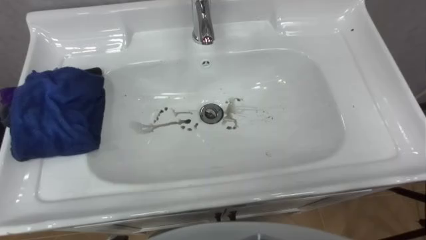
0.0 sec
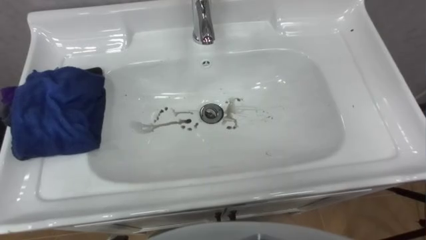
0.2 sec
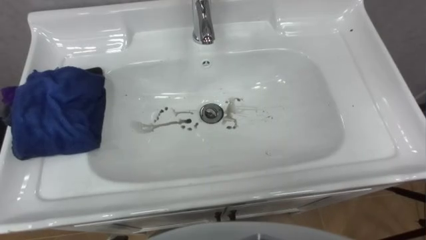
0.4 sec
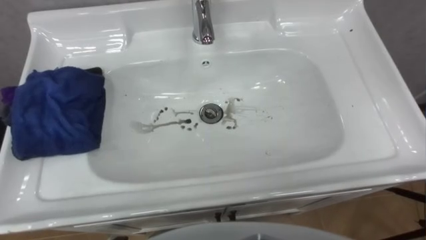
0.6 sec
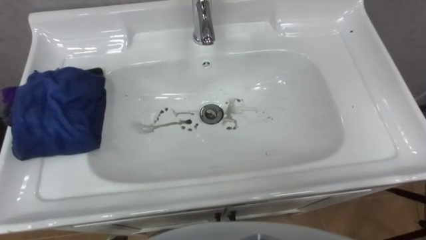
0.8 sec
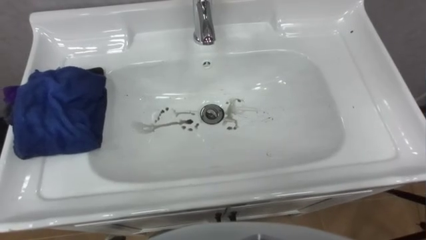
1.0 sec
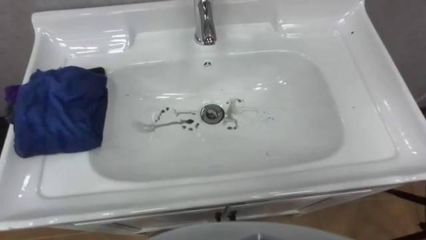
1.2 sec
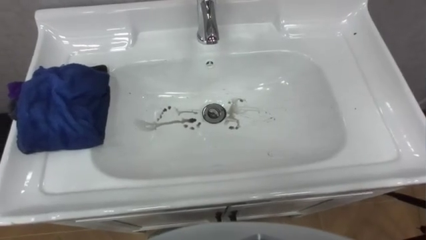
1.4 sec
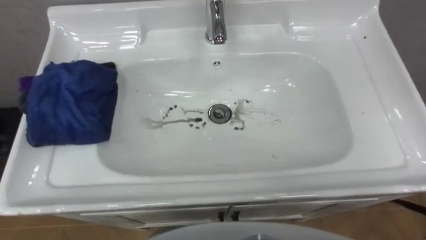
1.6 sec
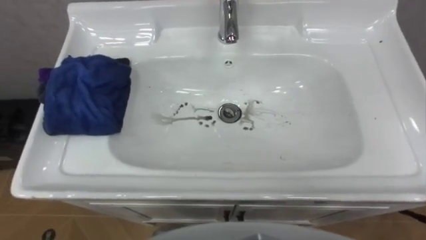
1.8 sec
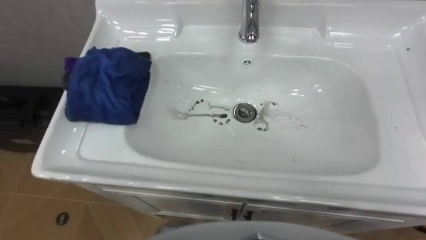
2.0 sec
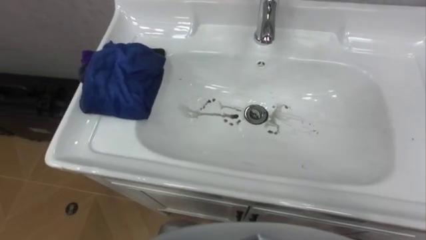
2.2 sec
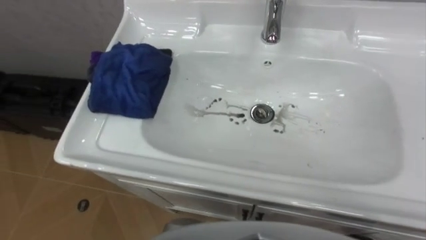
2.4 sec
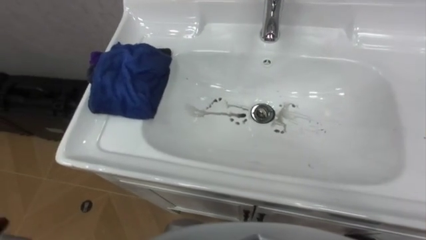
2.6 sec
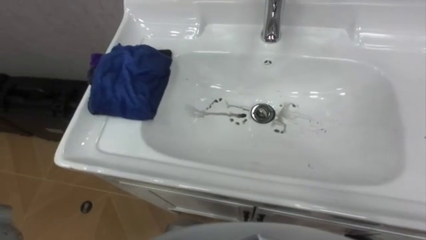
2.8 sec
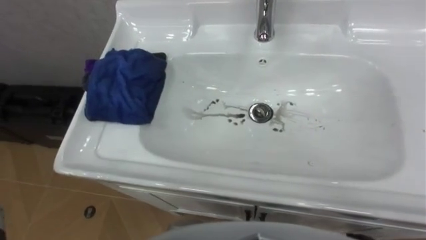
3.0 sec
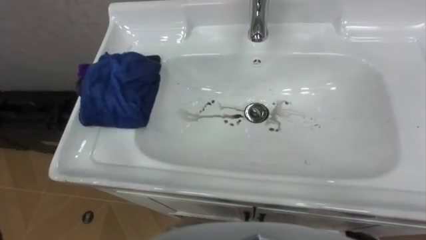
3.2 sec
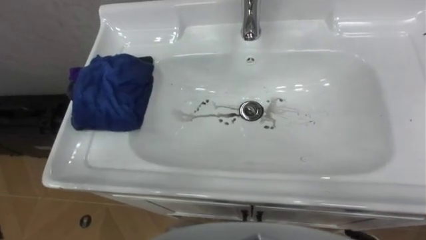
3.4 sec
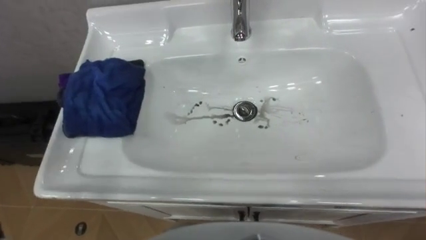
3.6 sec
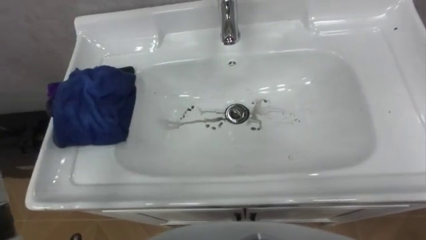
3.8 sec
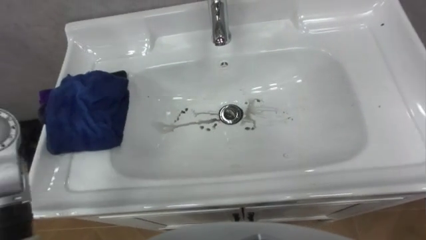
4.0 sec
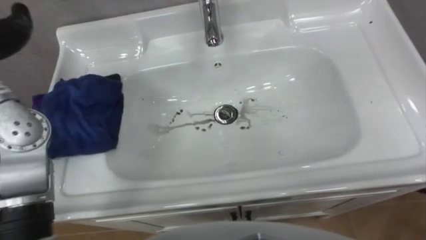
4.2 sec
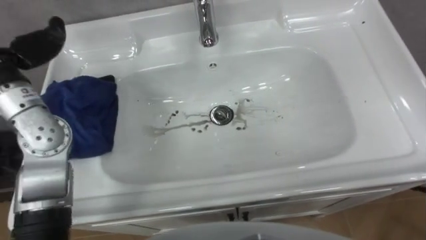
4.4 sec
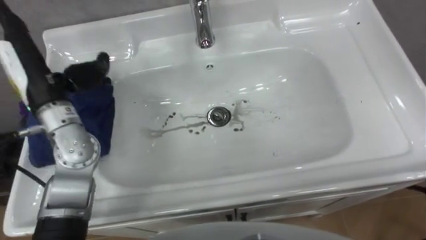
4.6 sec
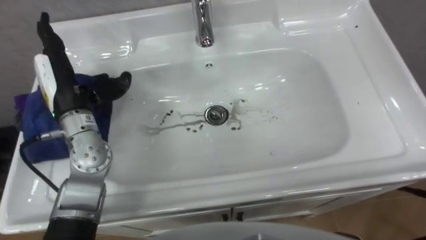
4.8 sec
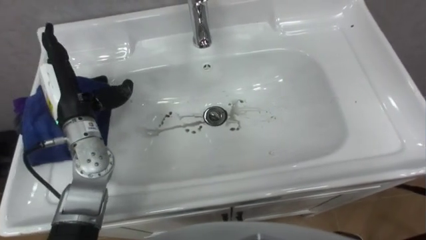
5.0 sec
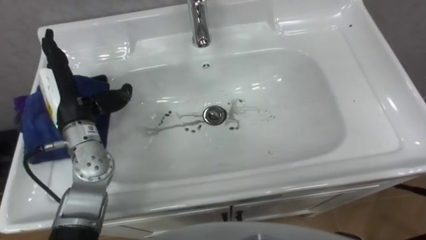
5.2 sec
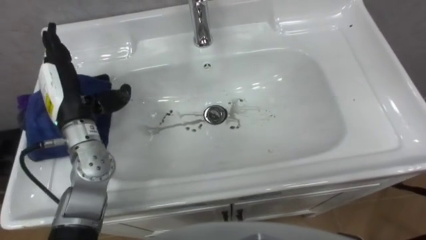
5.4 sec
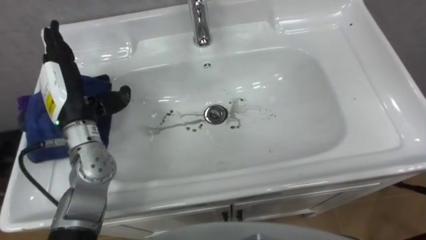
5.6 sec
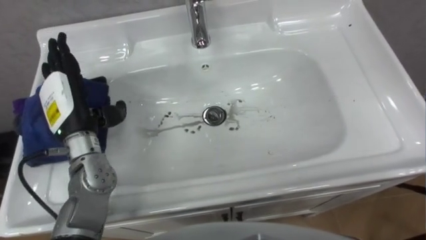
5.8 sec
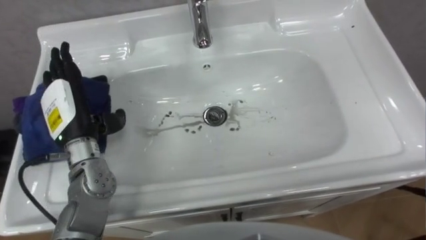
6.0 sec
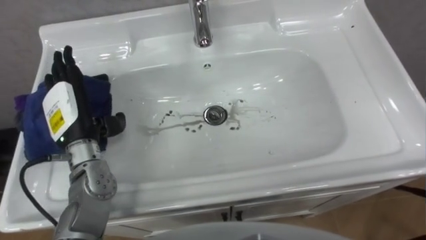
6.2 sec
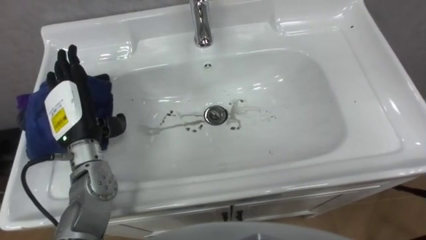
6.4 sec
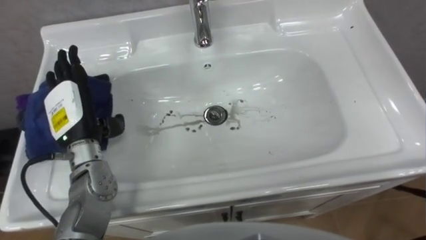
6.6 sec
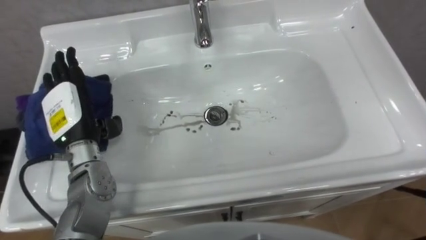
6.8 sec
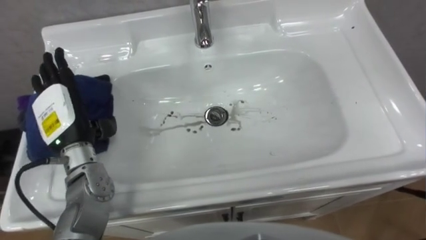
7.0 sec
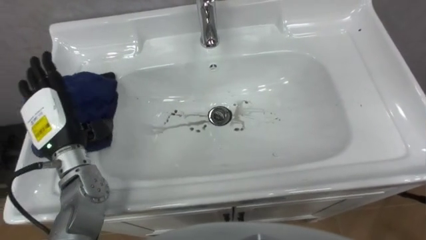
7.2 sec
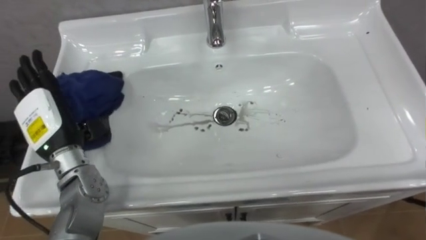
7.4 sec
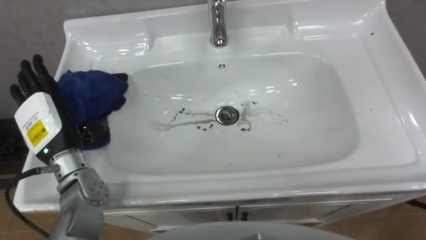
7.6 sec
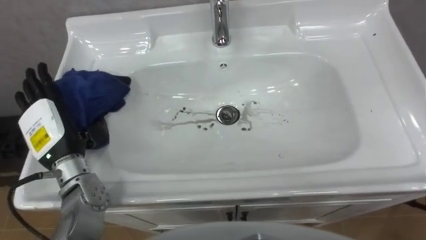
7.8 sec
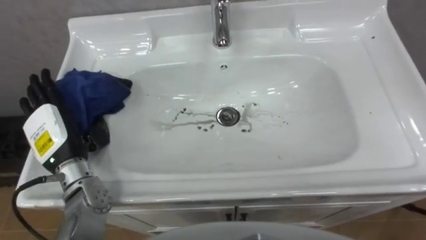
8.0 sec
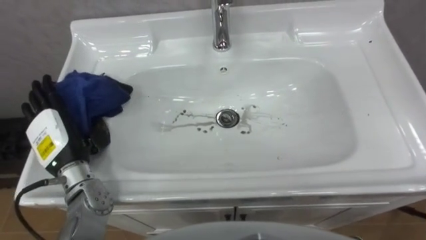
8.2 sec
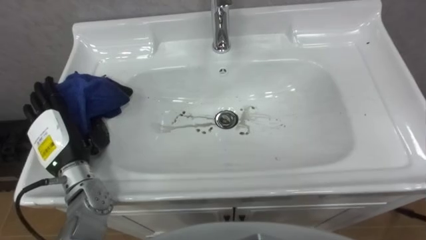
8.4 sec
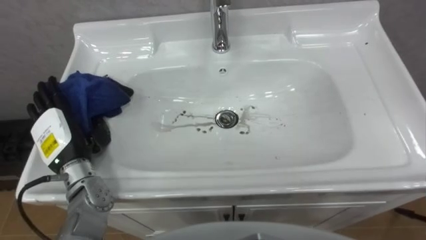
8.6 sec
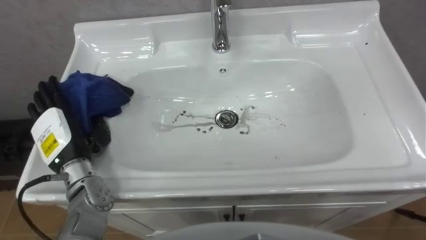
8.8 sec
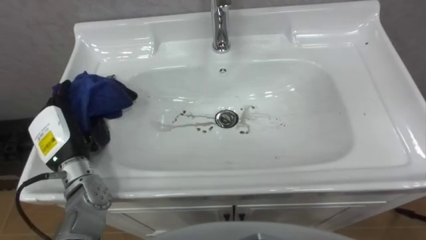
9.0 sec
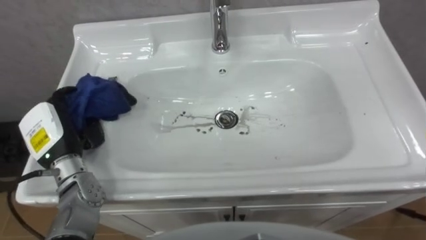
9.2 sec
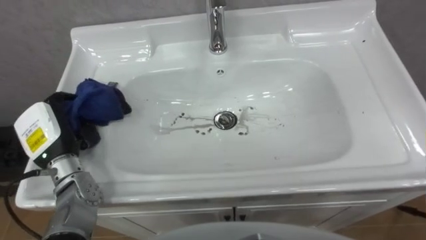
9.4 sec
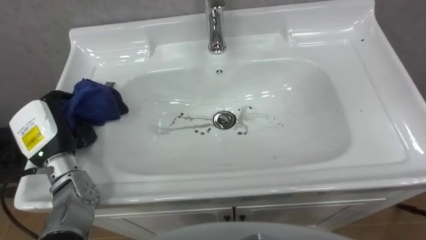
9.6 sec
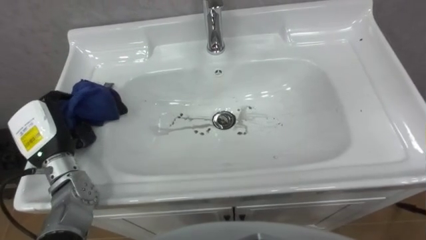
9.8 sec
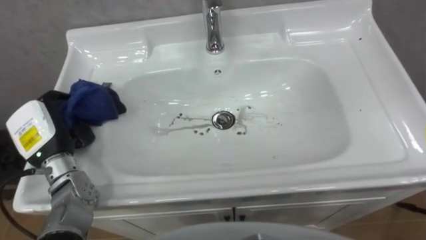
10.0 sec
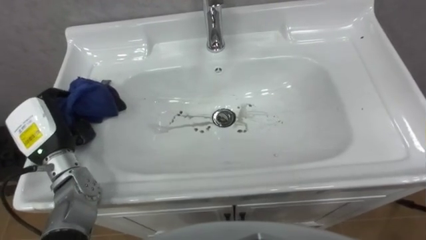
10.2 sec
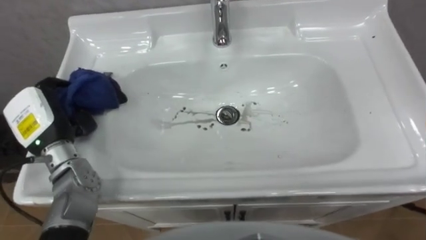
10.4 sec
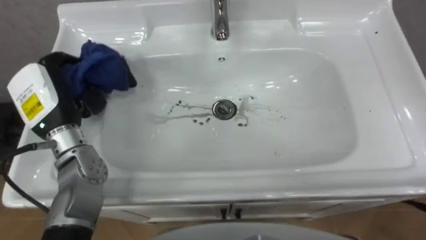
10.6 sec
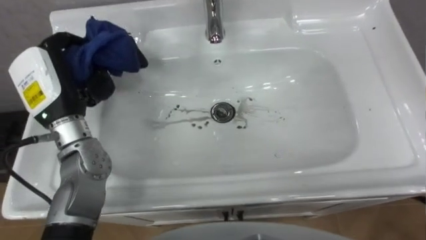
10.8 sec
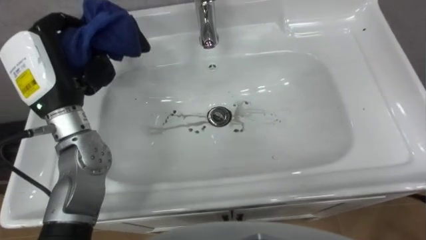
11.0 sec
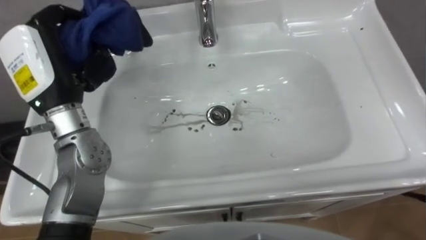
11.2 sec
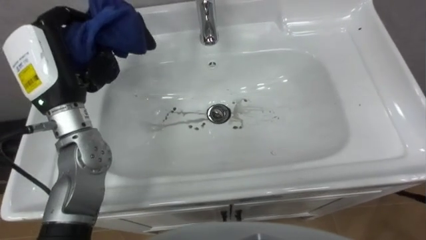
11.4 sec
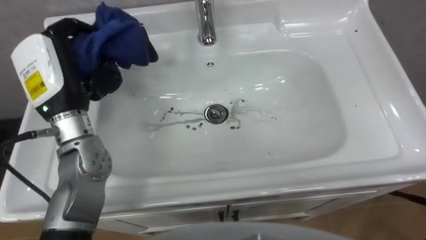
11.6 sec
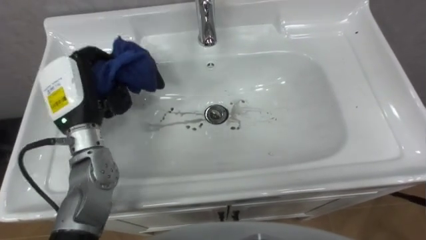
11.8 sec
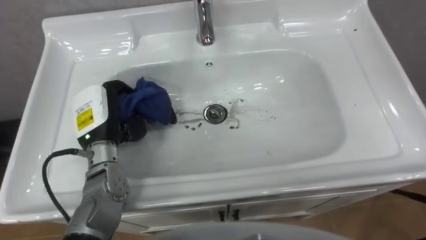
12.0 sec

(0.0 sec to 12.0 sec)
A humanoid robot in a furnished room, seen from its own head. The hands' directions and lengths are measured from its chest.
Task of the whole recording: Use the cloth on the right to wipe away the black stain in the sink.
7.6 sec - 9.0 sec: The left hand moves approximately 5 cm.
9.0 sec - 10.4 sec: The left hand closes.
10.4 sec - 12.0 sec: The left hand is displaced to the right by about 10 cm, and reaches roughly 10 cm upward, then returns.

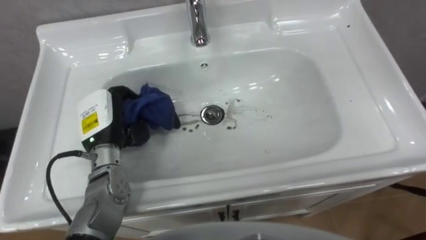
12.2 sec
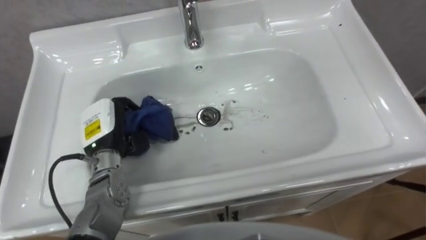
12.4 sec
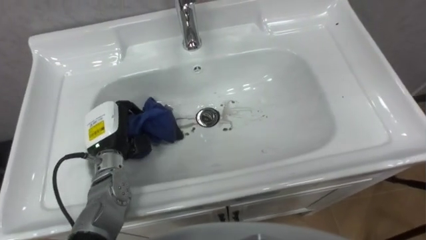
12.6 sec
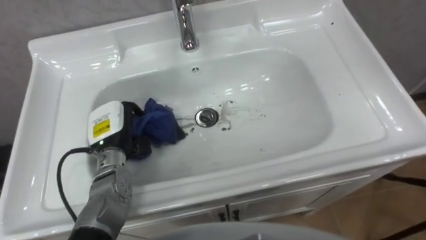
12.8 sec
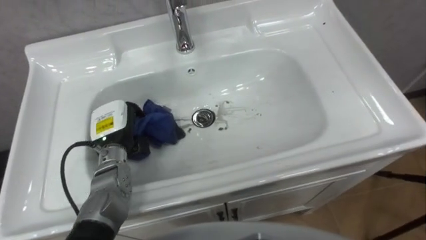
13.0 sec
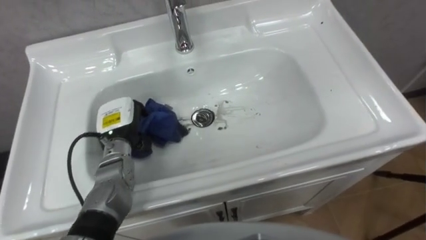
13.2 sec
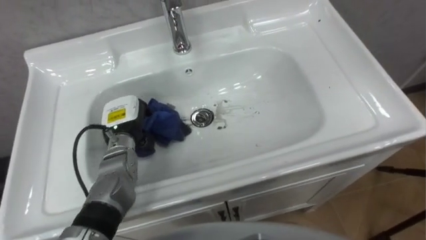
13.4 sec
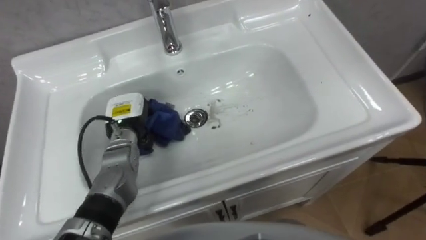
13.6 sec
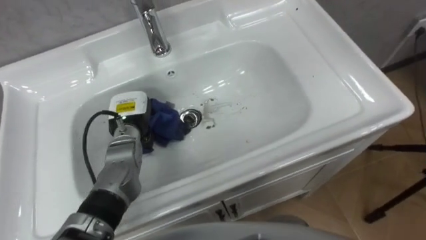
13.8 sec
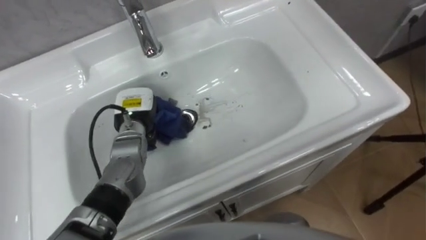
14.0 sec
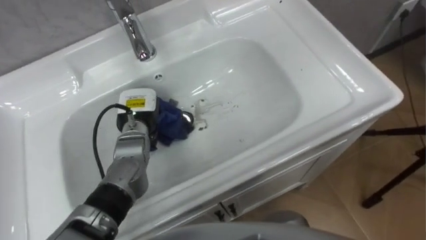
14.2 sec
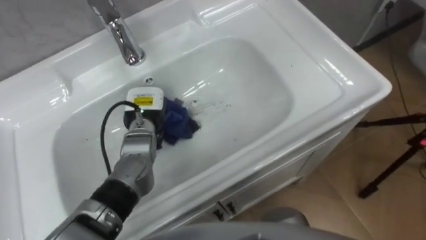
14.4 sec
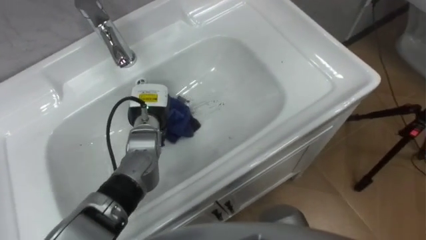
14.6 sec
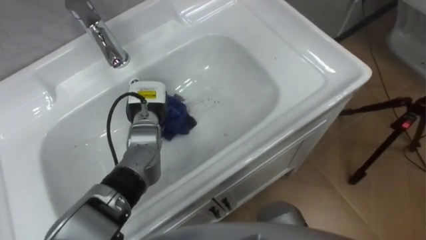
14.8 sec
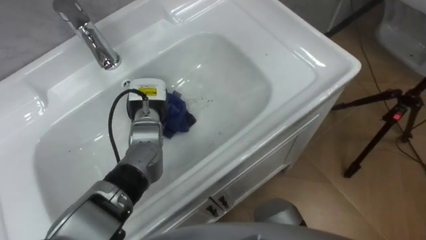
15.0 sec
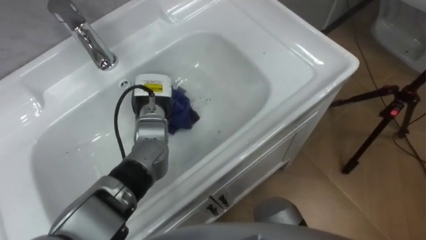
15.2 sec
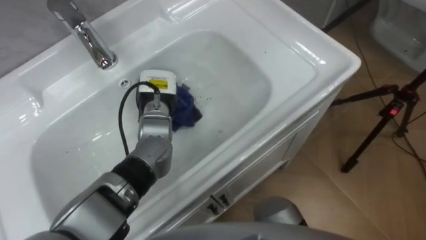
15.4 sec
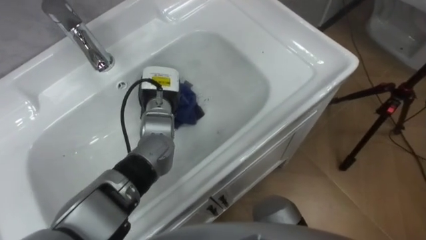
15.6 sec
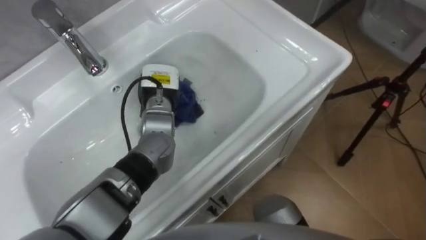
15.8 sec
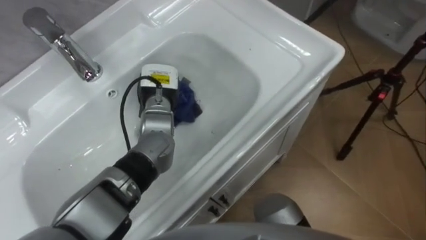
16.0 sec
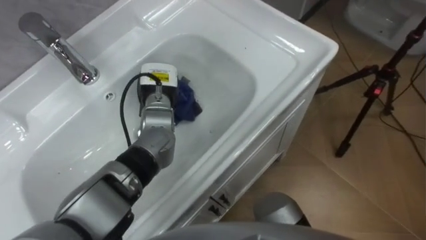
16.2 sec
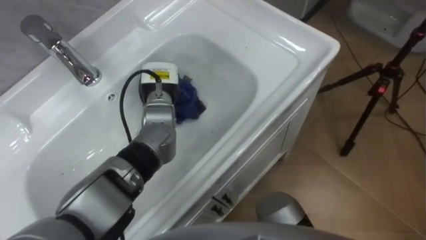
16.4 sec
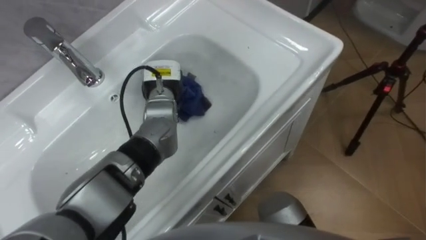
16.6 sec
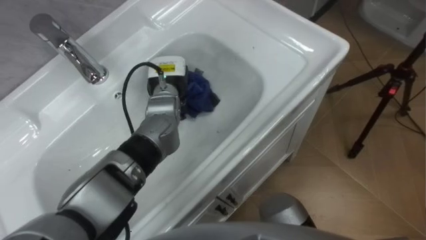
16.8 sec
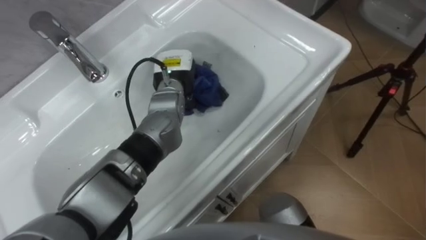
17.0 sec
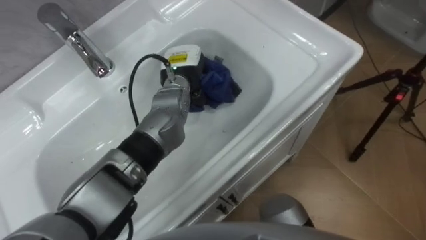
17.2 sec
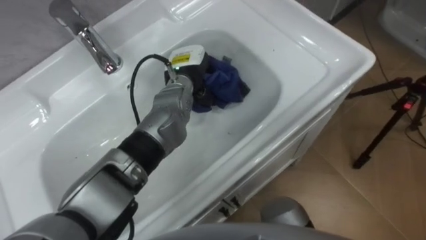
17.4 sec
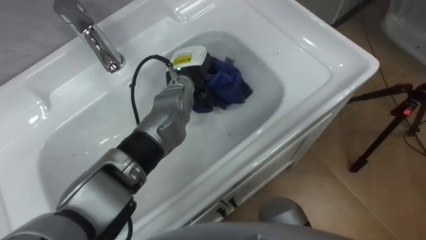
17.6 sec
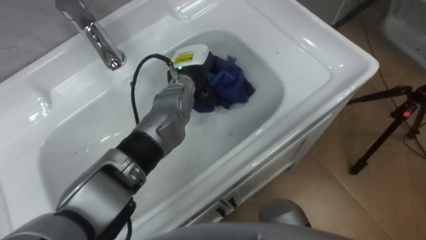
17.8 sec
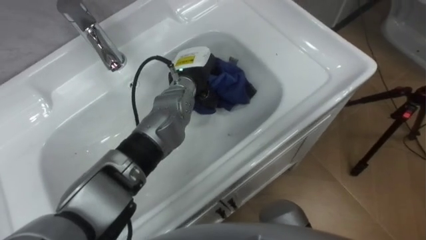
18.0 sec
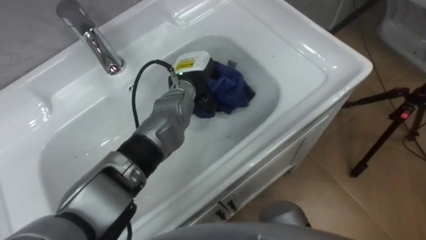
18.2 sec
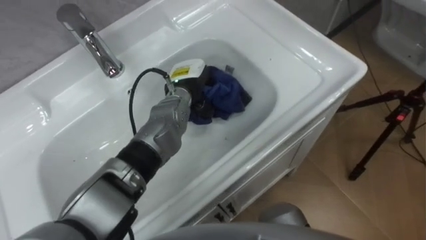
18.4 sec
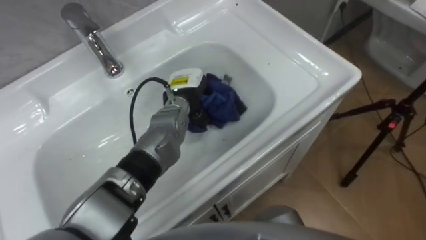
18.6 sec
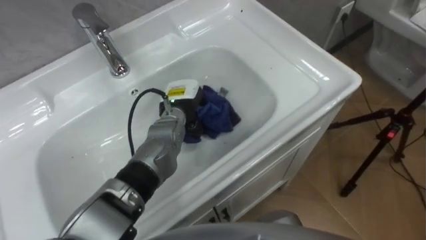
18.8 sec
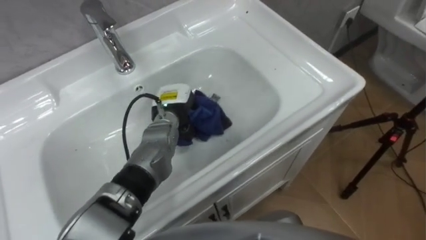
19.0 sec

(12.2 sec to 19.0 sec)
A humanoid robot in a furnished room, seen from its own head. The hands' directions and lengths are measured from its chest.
Task of the whole recording: Use the cloth on the right to wipe away the black stain in the sink.
12.2 sec - 13.6 sec: The left hand shifts some 5 cm downward.
13.6 sec - 15.0 sec: The left hand travels to the right by roughly 5 cm.
16.2 sec - 17.6 sec: The left hand heads to the right, covering about 5 cm.
17.6 sec - 19.0 sec: The left hand heads downward and backward, covering approximately 10 cm.
